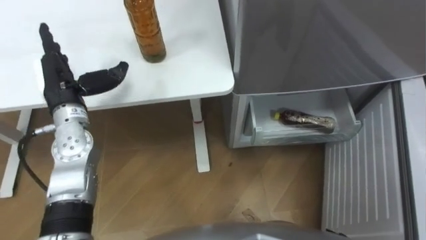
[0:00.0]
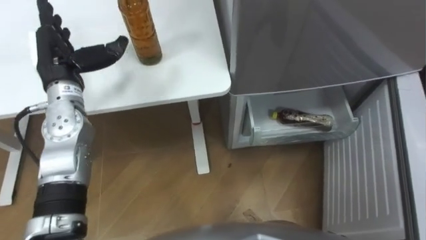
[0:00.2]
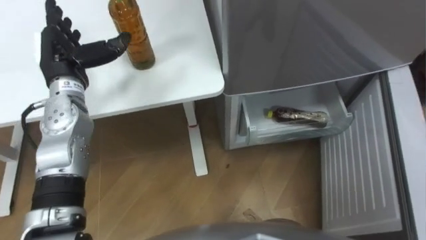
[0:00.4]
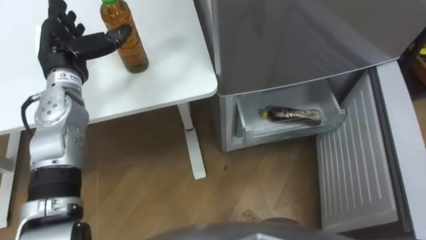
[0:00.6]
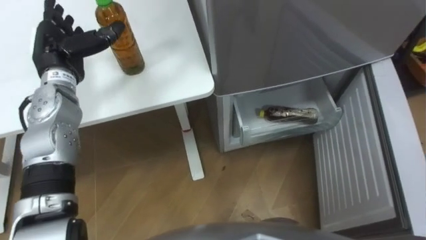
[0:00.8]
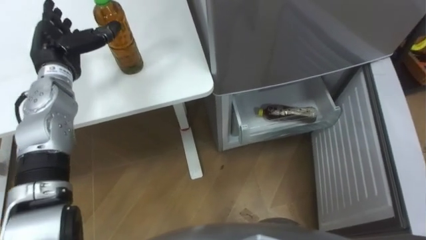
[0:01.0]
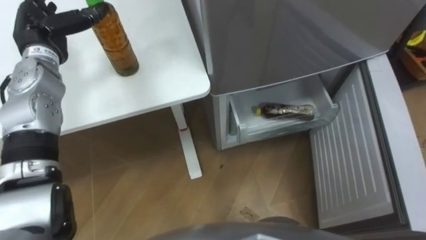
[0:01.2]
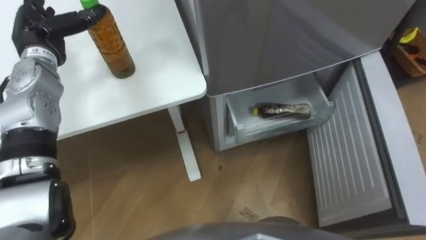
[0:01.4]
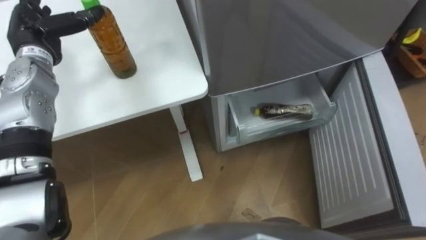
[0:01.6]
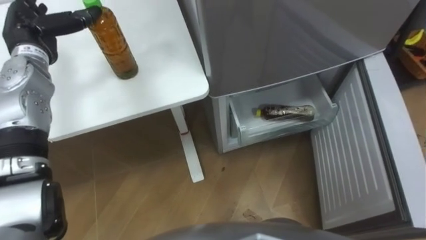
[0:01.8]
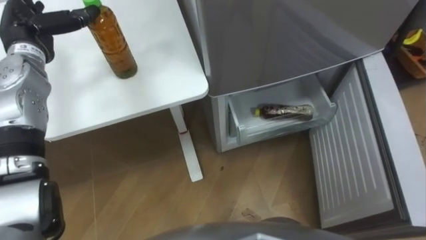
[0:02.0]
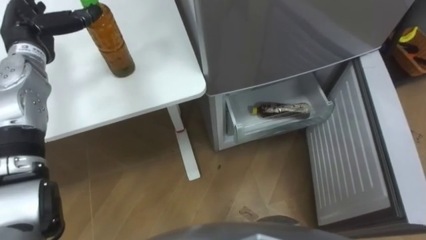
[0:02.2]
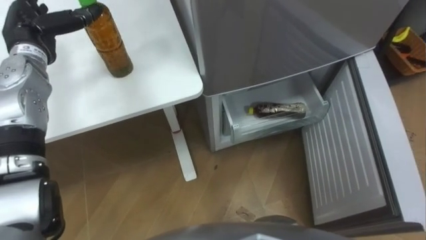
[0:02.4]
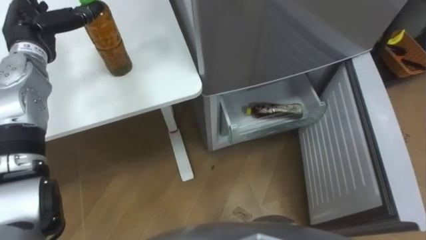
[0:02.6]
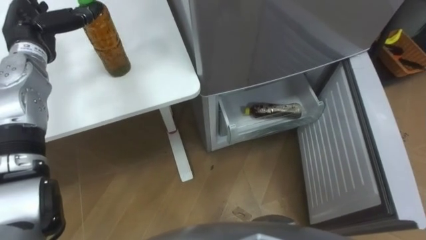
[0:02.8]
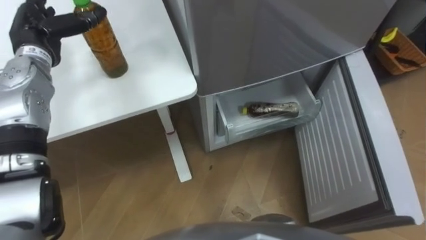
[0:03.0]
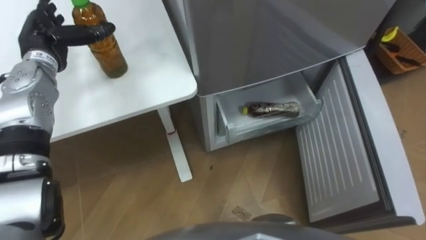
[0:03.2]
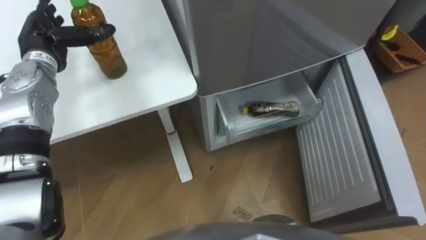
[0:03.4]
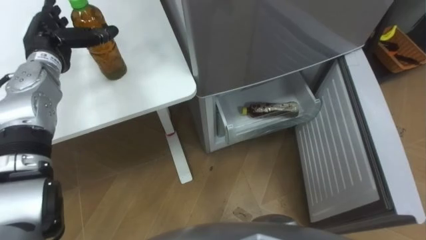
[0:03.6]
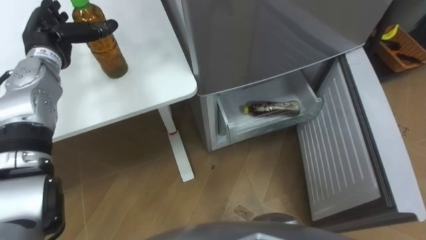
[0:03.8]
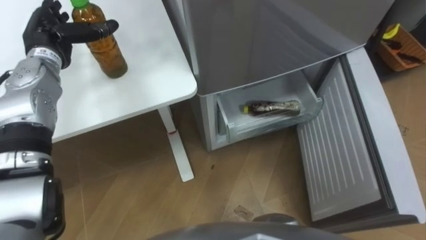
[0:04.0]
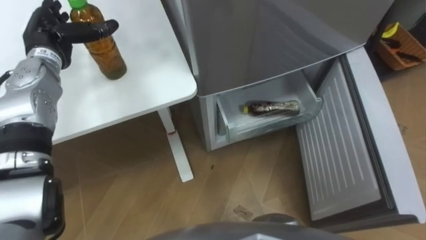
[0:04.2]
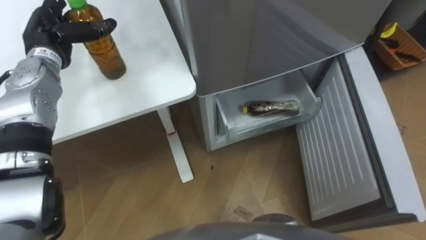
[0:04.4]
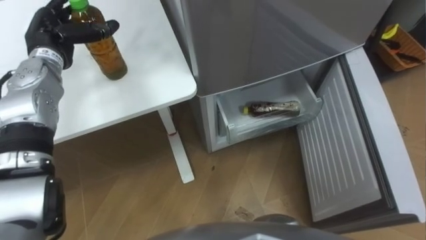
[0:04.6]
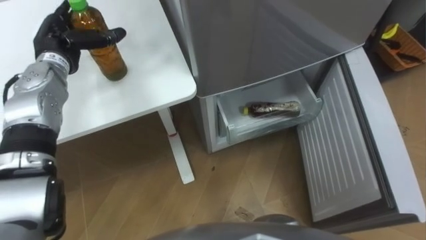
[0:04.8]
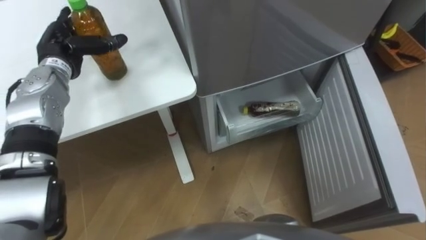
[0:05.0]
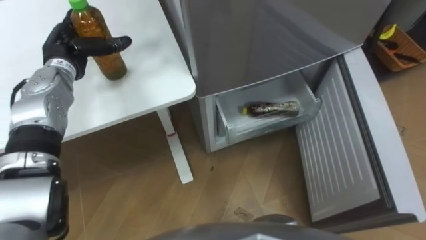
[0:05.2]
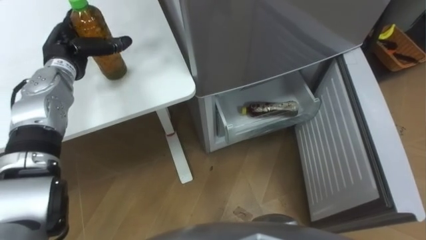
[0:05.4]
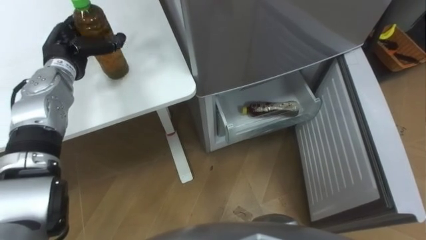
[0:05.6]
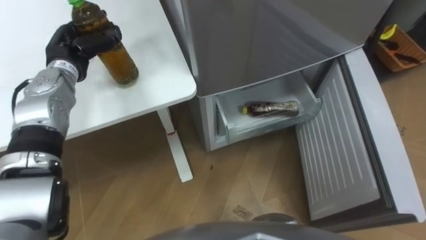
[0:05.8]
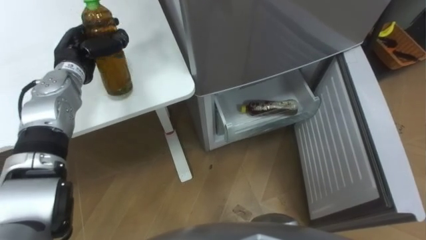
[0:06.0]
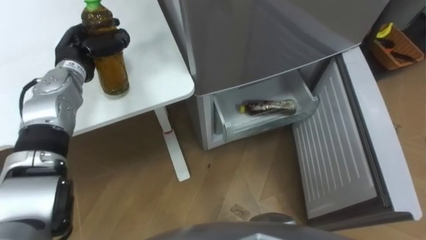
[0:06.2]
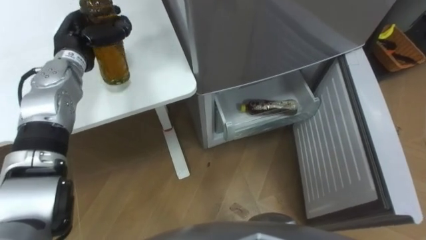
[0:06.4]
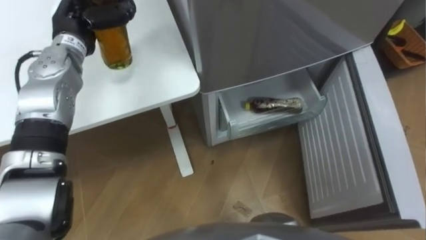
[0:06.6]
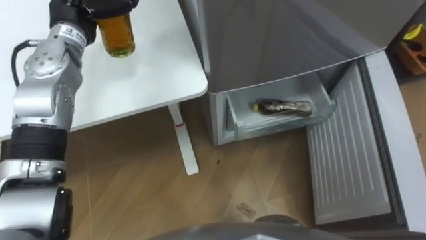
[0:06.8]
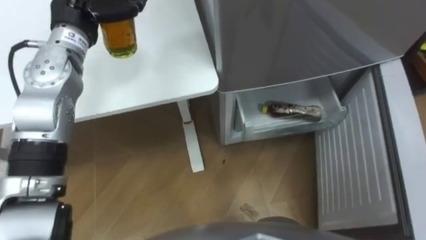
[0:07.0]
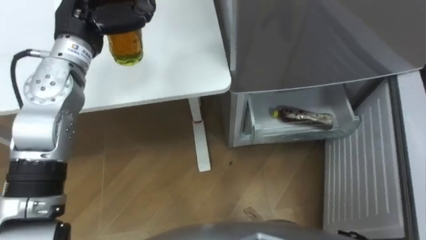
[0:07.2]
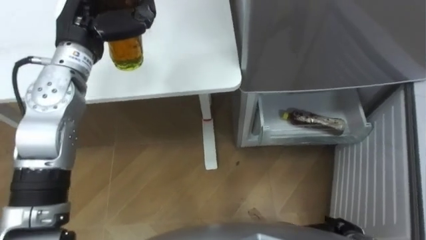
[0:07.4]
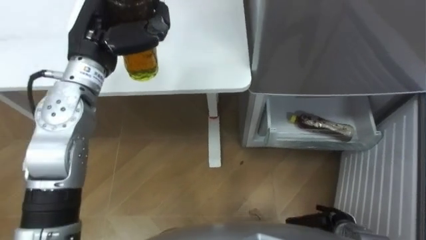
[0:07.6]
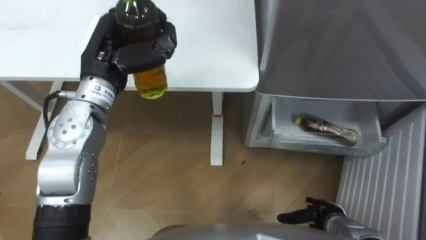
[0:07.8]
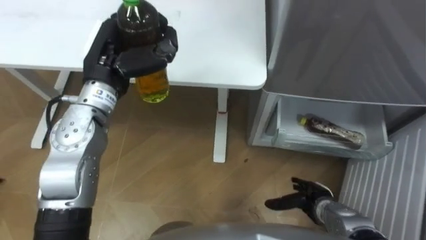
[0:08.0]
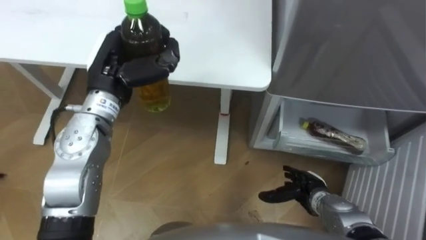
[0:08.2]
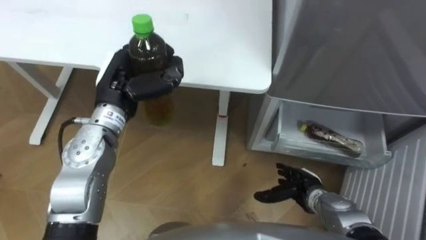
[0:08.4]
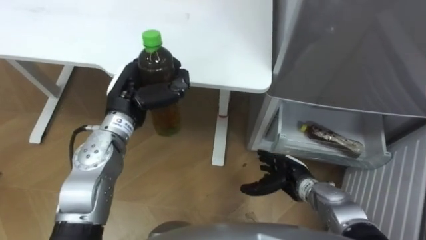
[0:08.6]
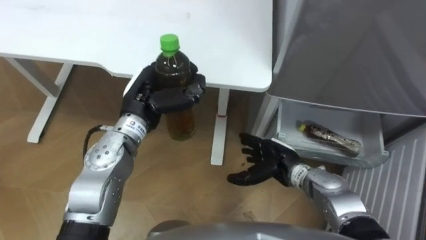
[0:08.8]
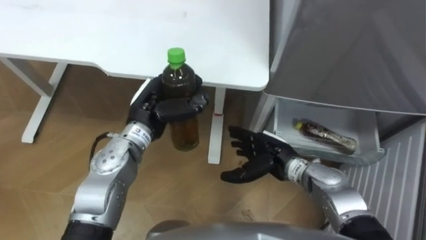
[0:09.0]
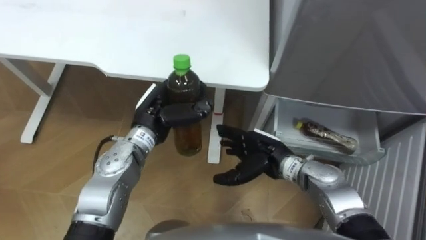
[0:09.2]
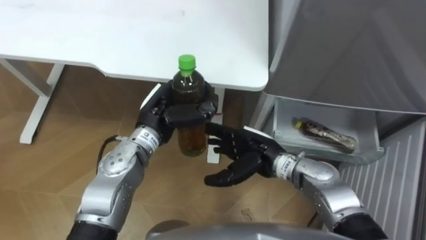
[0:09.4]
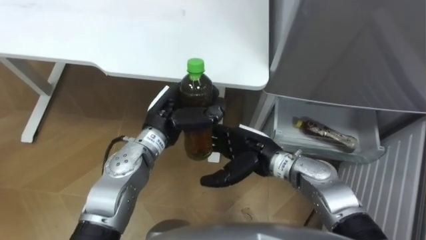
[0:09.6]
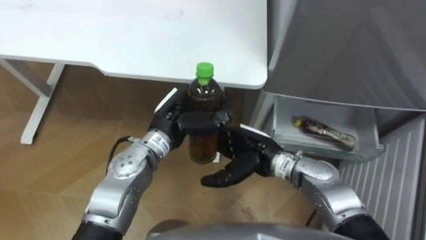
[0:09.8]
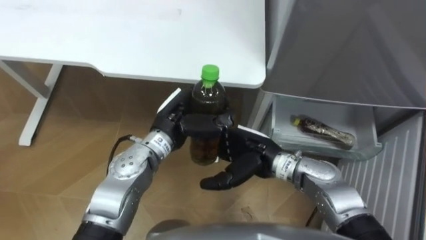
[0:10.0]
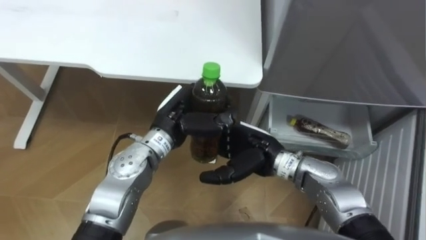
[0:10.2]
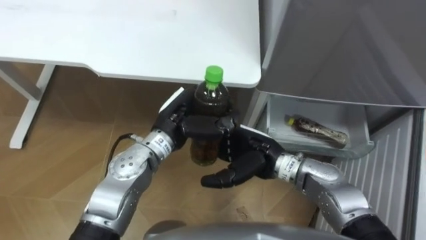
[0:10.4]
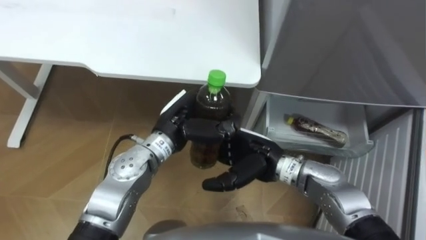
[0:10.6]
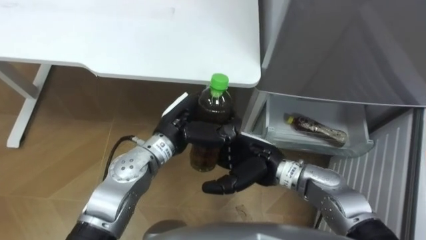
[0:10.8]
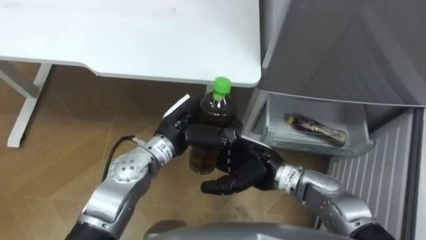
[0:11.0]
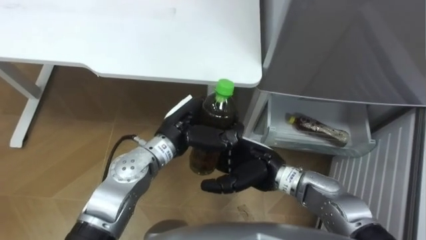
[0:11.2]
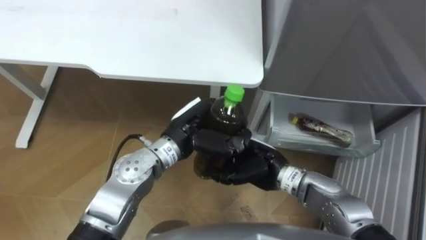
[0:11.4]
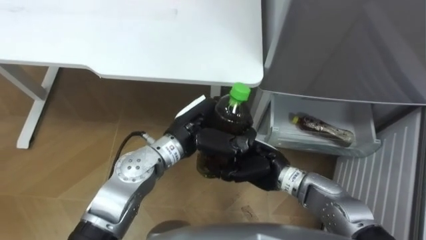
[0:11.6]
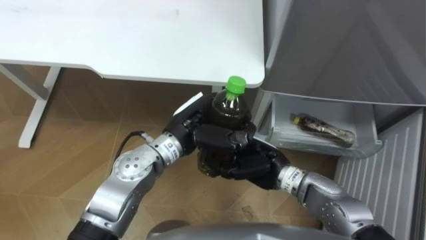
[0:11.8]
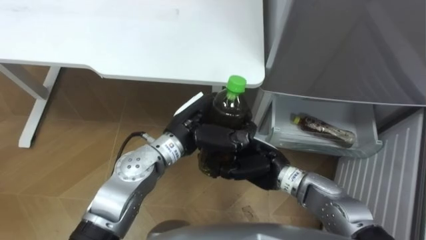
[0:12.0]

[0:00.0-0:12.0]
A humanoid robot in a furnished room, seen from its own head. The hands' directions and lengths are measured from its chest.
Task of the whole recording: Place the drink on the table on the bottom shelf of the refrigerator, then close the drawer and the refrigerator door.
0:00.0 to 0:01.6: The left hand goes about 10 cm forward.
0:04.4 to 0:06.0: The left hand ends up approximately 5 cm from where it was, and closes.
0:06.0 to 0:07.6: The left hand heads upward, to the right and backward, covering approximately 15 cm.
0:07.6 to 0:09.0: The right hand is displaced to the left, forward and upward by roughly 25 cm; the left hand heads downward, to the right and backward, covering roughly 15 cm.
0:09.0 to 0:10.4: The right hand goes some 10 cm upward and to the left. The left hand is displaced to the right by approximately 5 cm.
0:10.4 to 0:12.0: The right hand closes up.

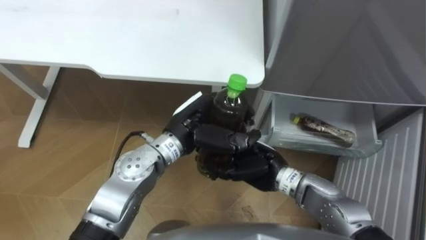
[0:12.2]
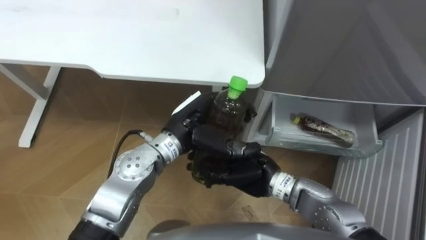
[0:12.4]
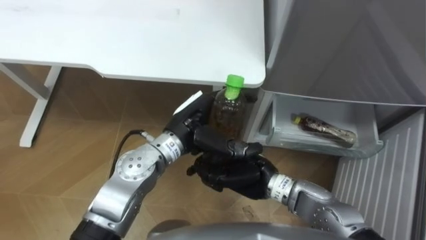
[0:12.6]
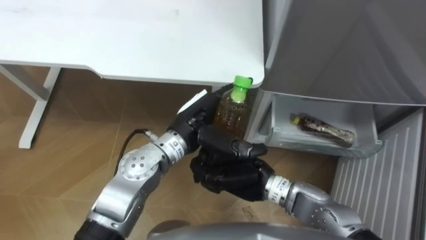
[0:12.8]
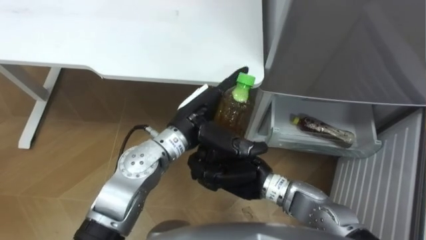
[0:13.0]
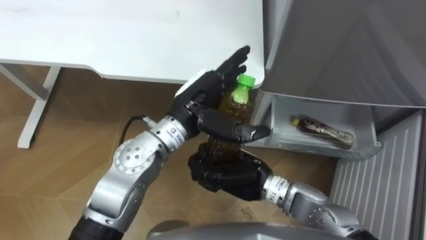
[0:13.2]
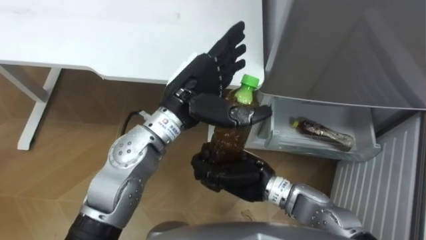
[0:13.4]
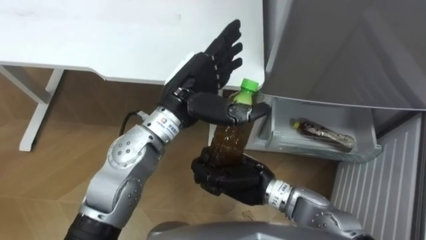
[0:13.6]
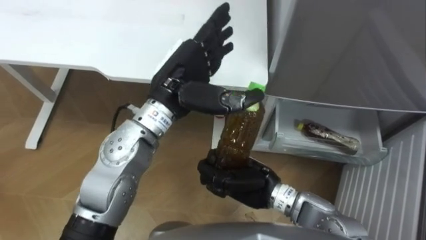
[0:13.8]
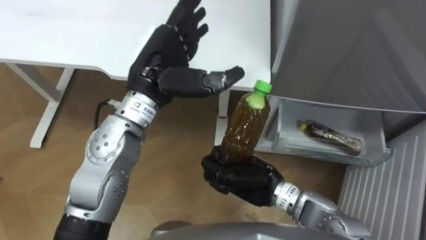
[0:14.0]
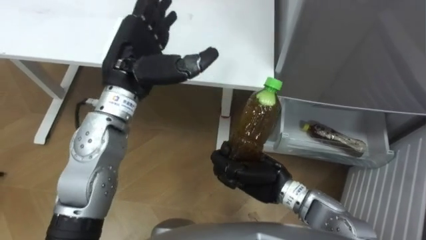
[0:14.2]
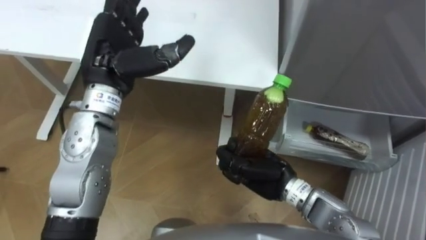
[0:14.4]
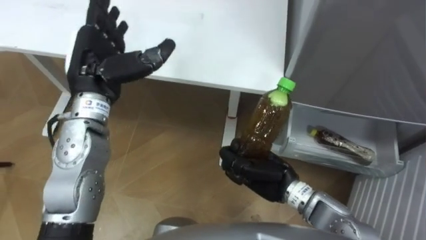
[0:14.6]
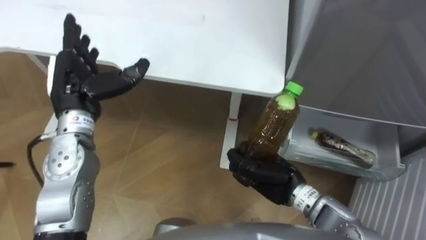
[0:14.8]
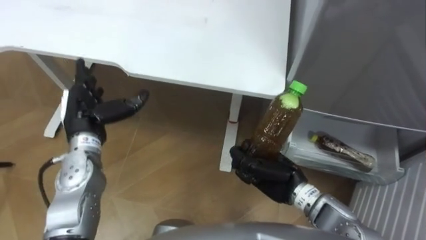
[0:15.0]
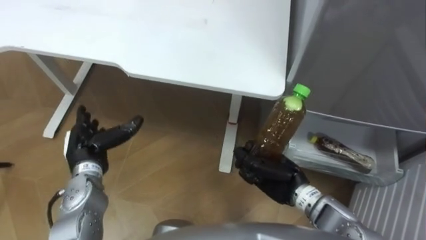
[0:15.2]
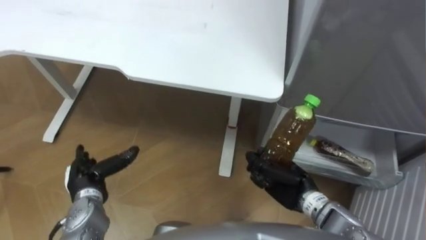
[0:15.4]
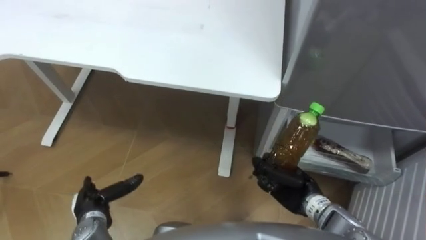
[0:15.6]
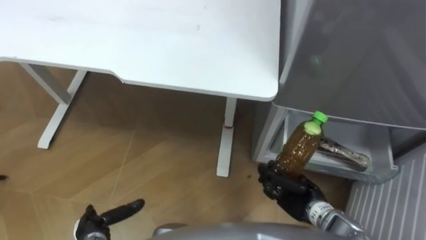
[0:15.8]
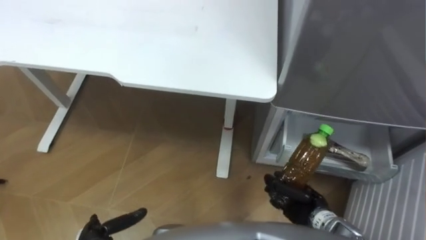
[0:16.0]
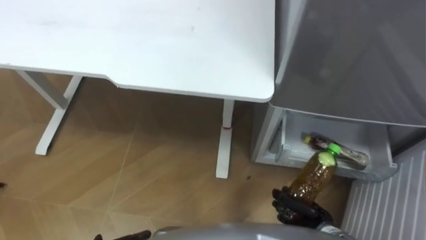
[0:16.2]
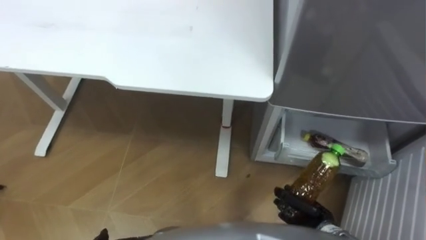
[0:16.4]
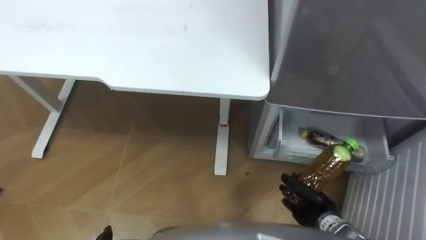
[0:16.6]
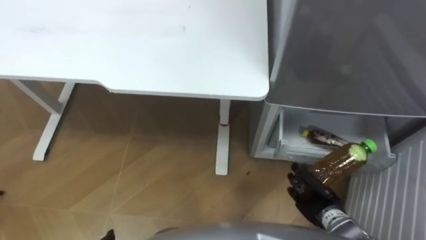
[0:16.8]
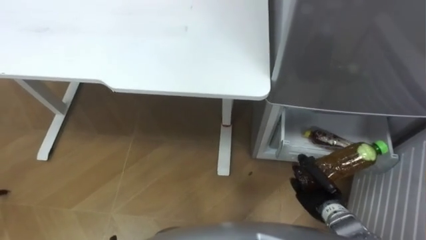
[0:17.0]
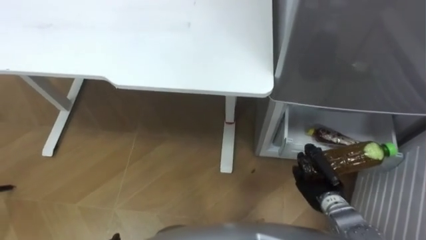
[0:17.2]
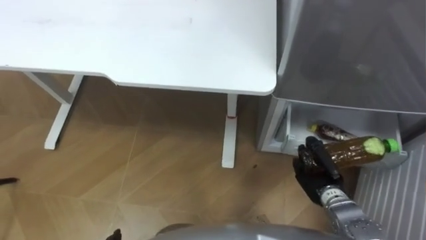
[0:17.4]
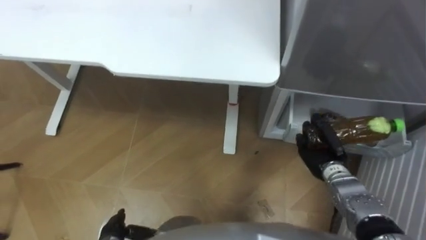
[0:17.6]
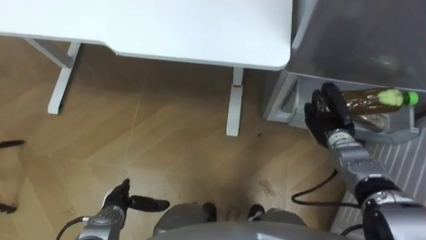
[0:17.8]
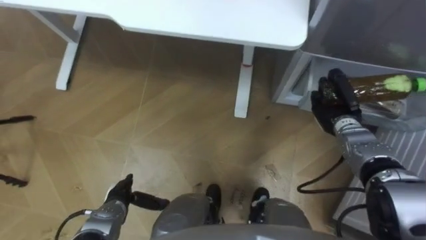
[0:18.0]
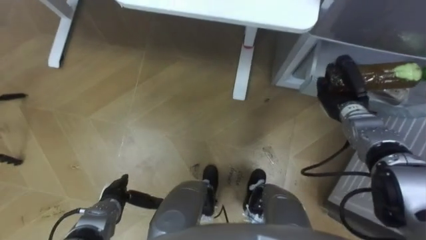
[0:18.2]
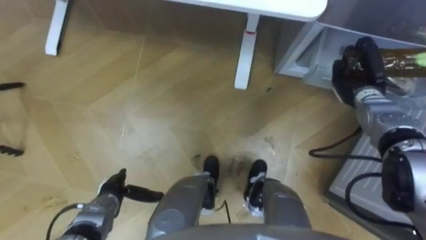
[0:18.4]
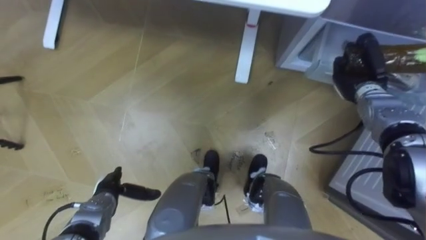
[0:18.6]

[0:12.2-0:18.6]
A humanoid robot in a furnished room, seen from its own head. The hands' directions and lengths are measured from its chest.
Task of the whole recording: Place the drink on the table on the bottom shelf of the refrigerator, then close the drawer and the refrigerator door.
0:12.2 to 0:13.8: The left hand shifts approximately 10 cm upward, and opens up.
0:13.8 to 0:15.4: The left hand shifts about 30 cm to the left, downward and backward. The right hand goes roughly 10 cm to the right and downward.
0:15.4 to 0:17.0: The right hand is displaced to the right and downward by approximately 10 cm.
0:17.0 to 0:18.6: The right hand heads forward and upward, covering roughly 25 cm.
